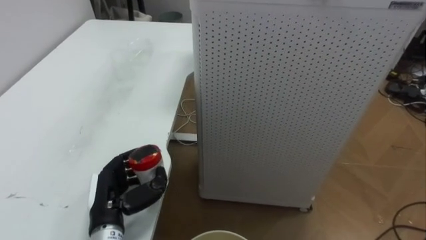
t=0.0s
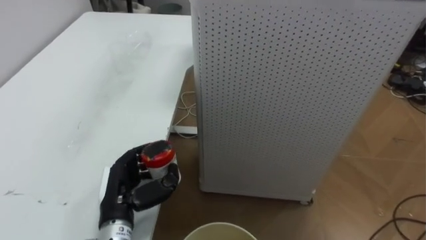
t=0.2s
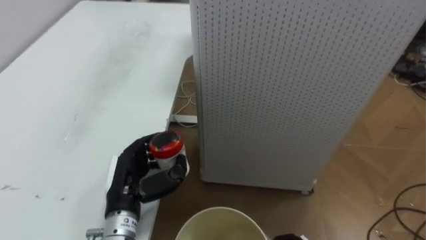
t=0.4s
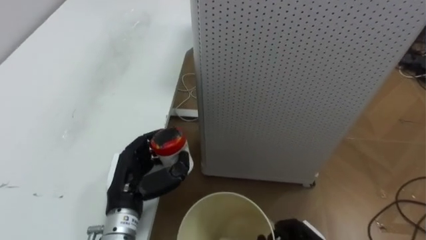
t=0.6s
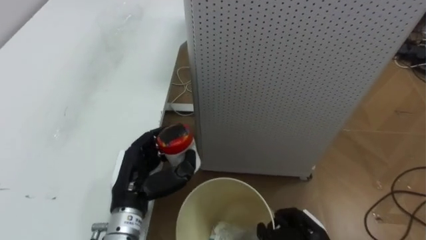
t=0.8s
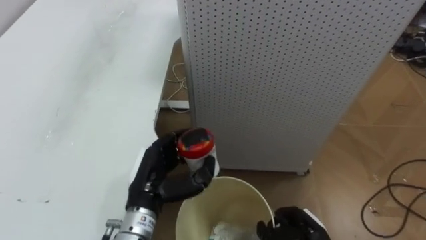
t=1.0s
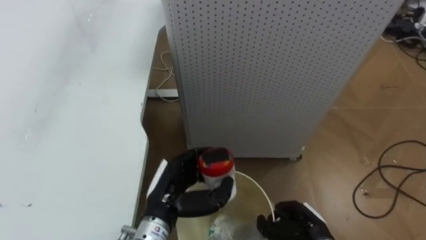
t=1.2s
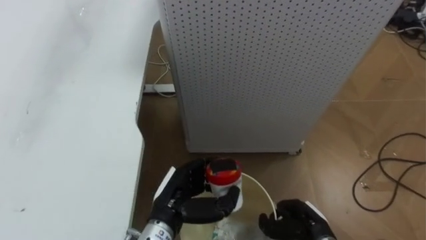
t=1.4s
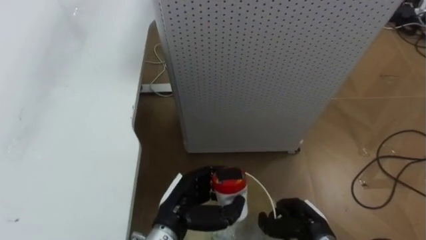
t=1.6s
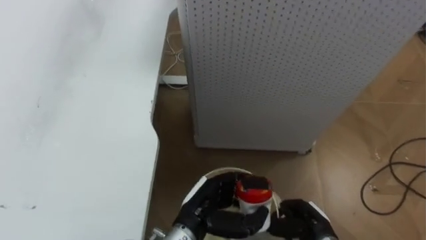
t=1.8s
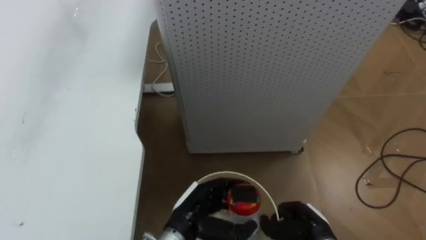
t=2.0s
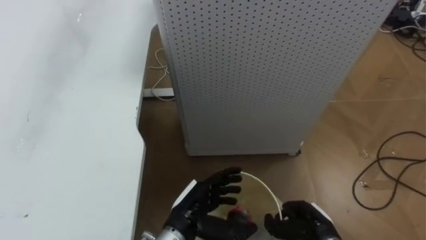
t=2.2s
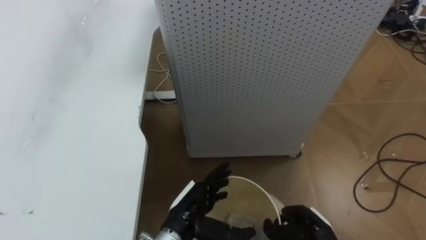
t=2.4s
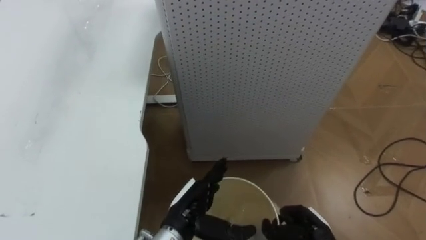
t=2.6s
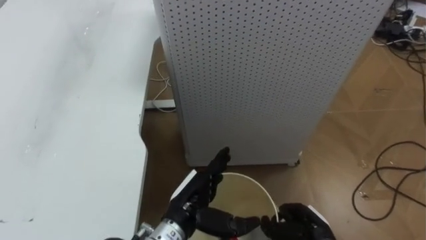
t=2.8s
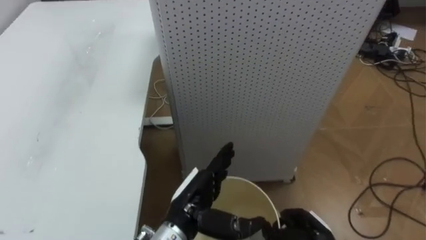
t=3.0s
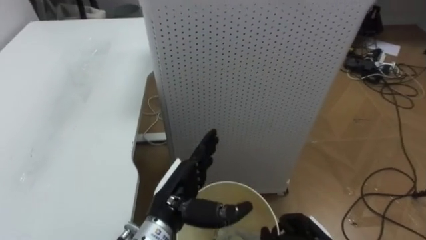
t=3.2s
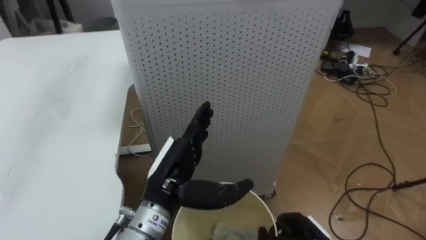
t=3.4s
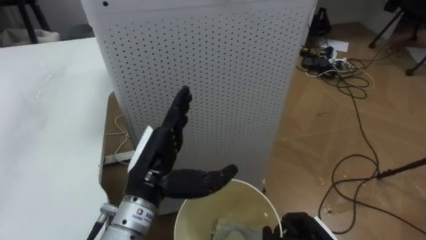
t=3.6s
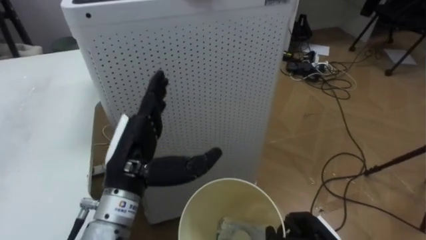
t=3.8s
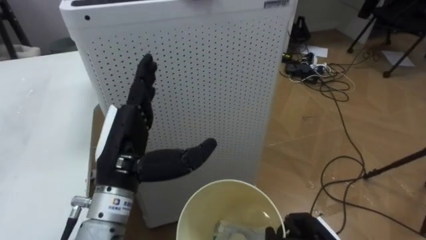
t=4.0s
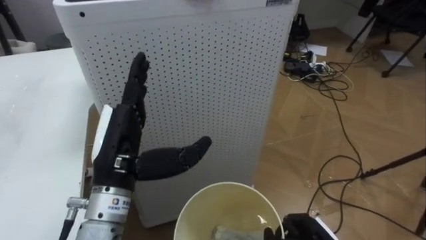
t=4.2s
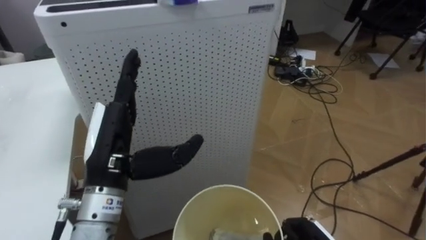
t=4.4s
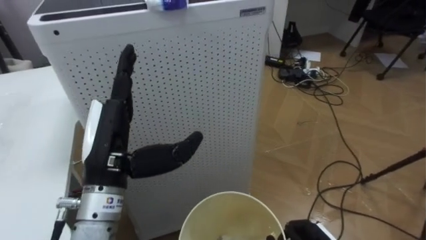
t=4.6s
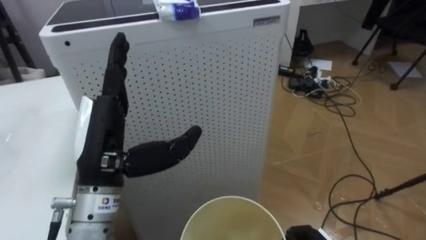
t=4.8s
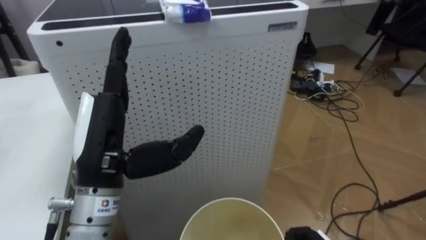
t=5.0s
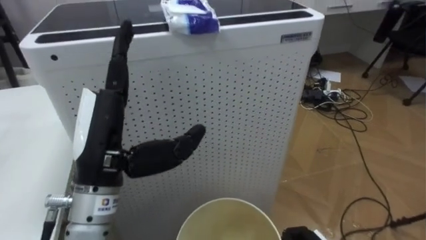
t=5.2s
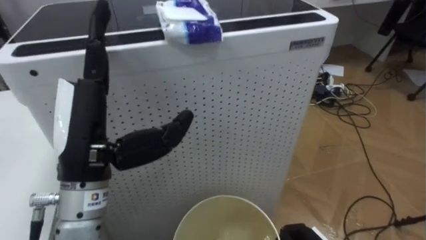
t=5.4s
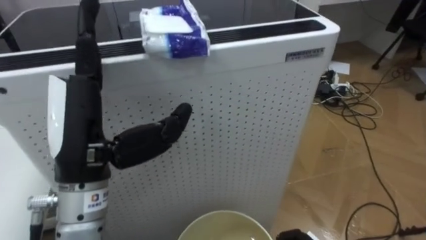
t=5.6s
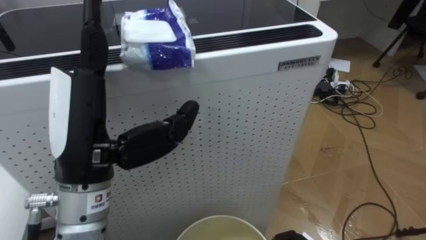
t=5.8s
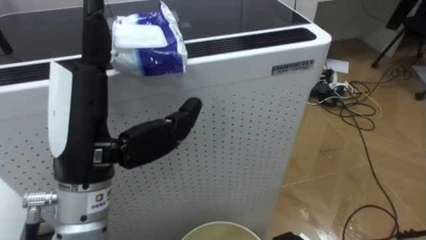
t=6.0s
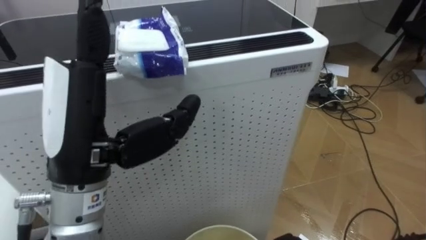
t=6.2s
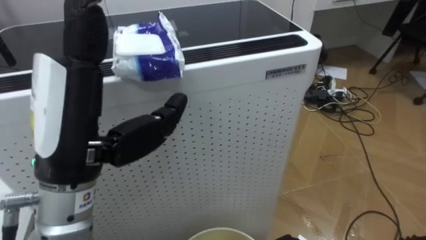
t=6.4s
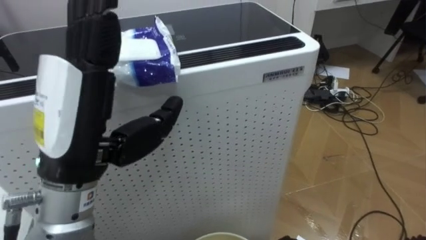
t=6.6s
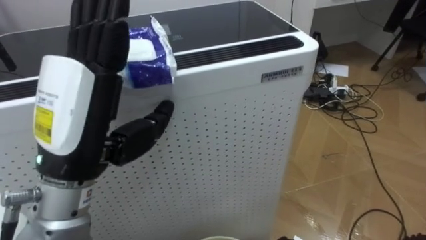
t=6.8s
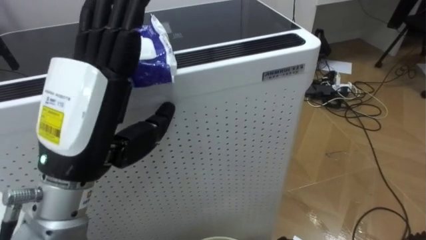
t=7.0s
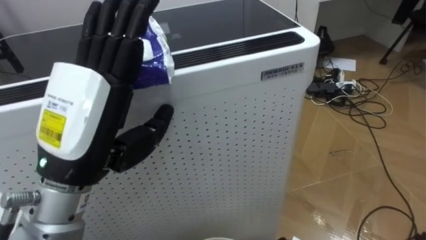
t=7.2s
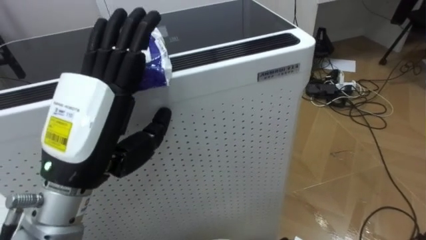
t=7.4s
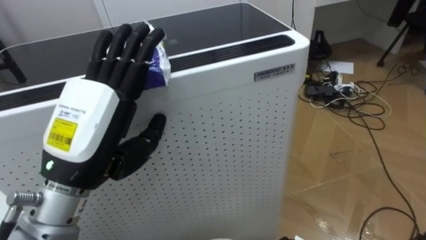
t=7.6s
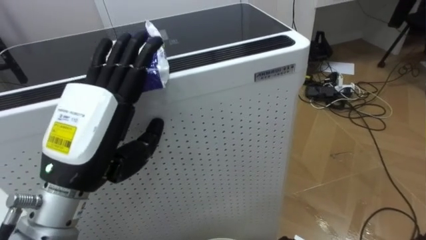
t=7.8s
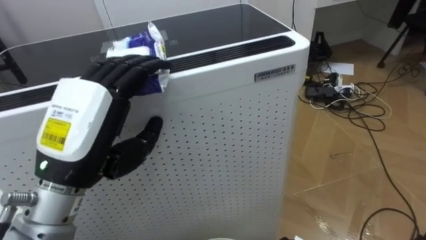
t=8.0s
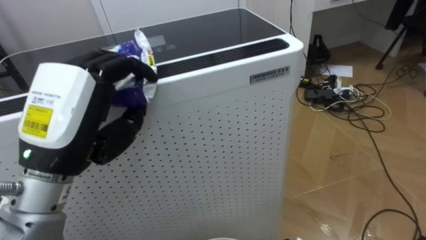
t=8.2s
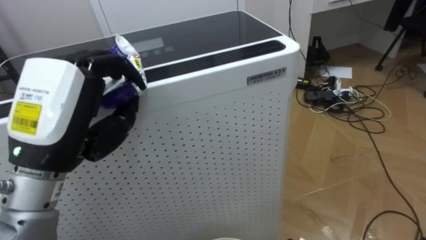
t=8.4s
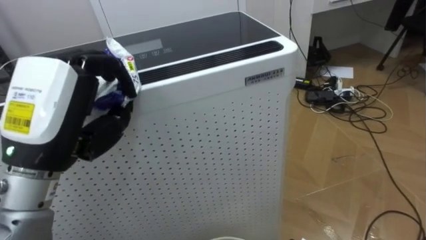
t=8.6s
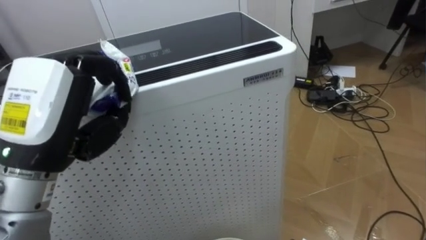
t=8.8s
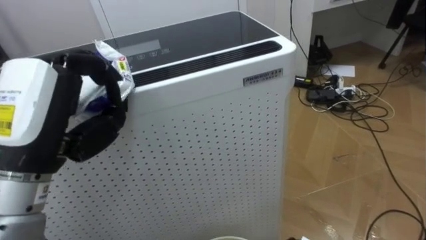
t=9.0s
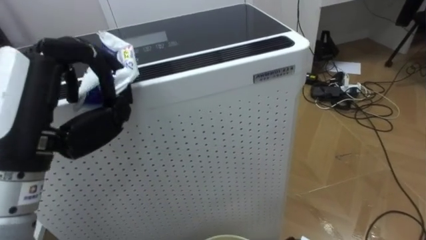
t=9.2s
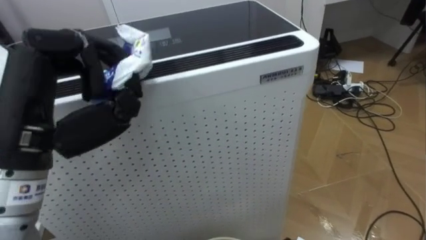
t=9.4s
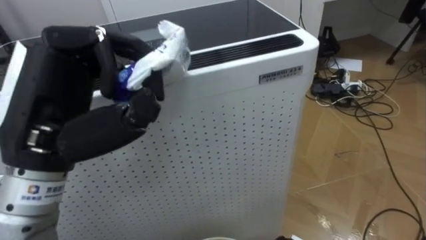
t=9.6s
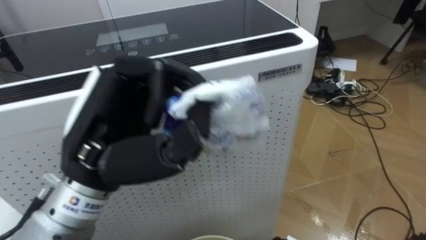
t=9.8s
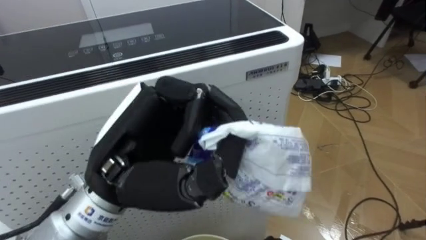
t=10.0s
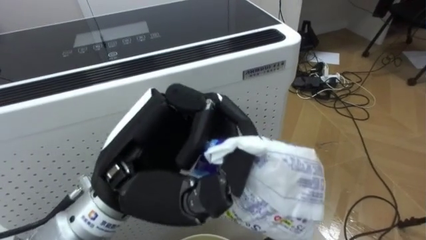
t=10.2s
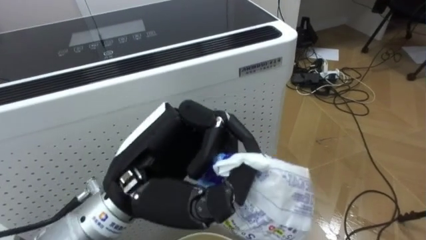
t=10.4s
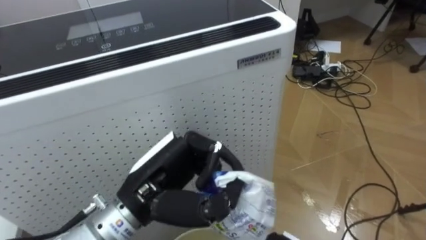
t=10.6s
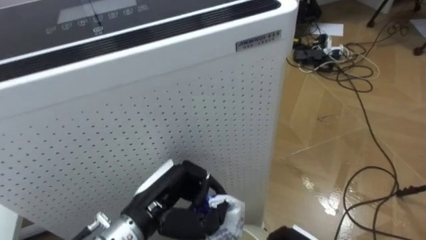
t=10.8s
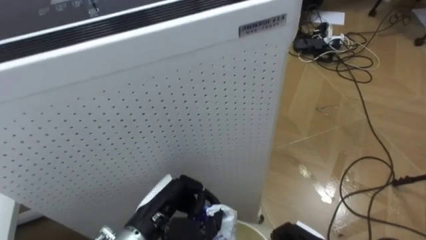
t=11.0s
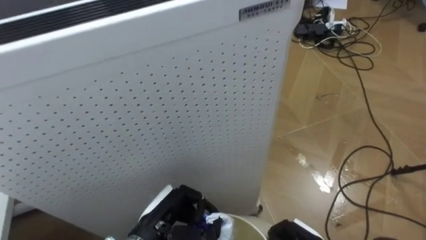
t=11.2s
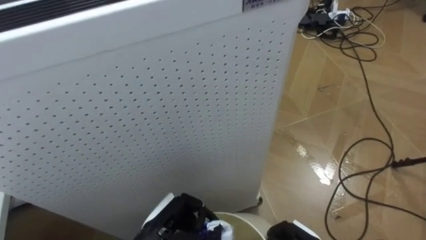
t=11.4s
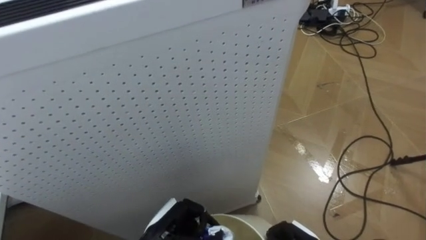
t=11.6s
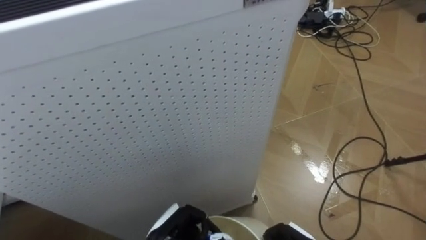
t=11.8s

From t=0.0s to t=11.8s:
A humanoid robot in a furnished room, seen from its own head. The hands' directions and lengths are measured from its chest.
Task of the whole recording: Pick up the light blue package, the candy box, and the dark blue package separately, and put them into the trash can held in your right hand.
From t=0.0s to t=1.4s: The left hand heads to the right, covering roughly 10 cm.
From t=1.4s to t=3.0s: The left hand opens up.
From t=3.0s to t=4.4s: The robot faces approximately 20 degrees further to its right. The left hand shifts approximately 20 cm upward and to the left.
From t=4.4s to t=6.0s: The left hand moves upward, about 10 cm.
From t=7.4s to t=8.8s: The left hand closes up.
From t=8.8s to t=10.4s: The left hand heads to the right, covering about 10 cm.
From t=10.4s to t=11.8s: The left hand heads downward, covering some 25 cm.

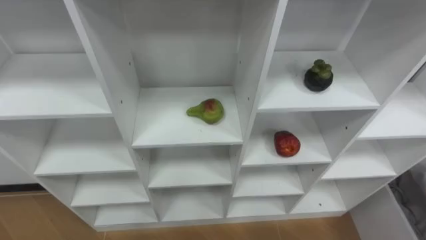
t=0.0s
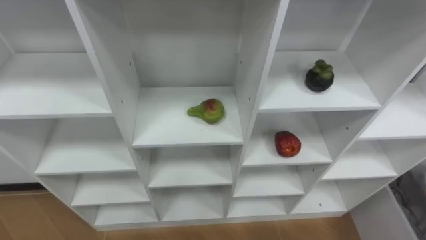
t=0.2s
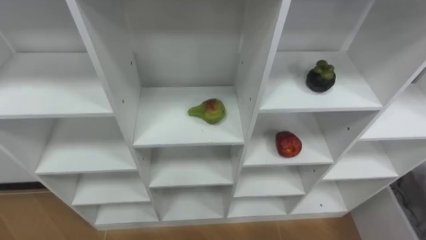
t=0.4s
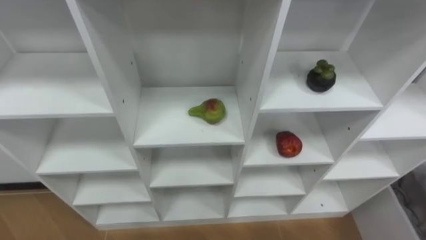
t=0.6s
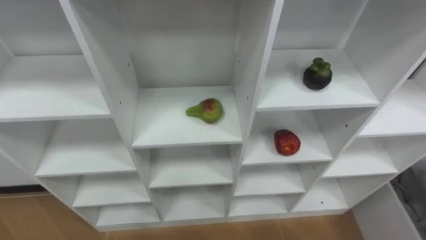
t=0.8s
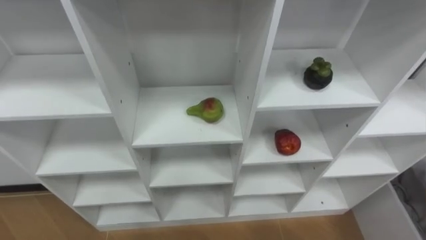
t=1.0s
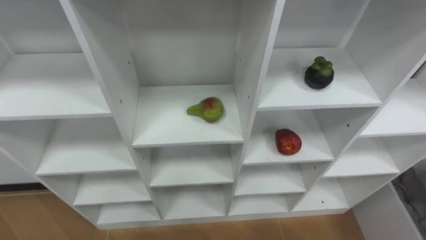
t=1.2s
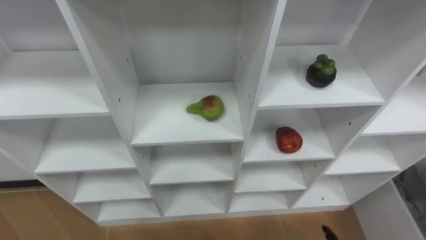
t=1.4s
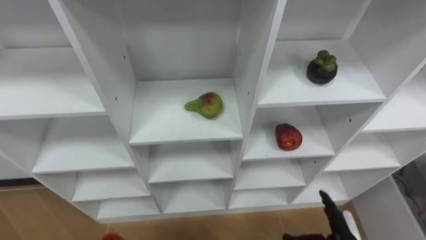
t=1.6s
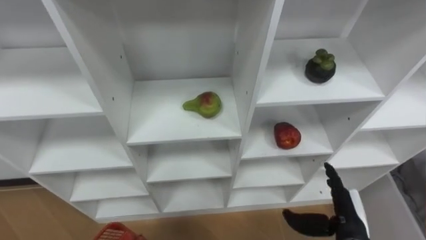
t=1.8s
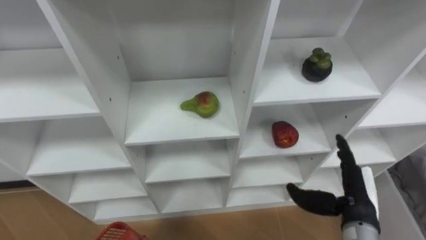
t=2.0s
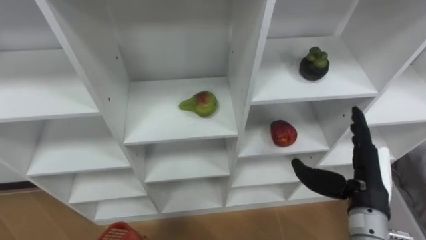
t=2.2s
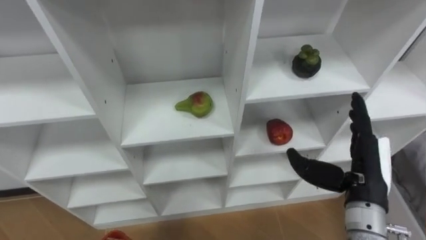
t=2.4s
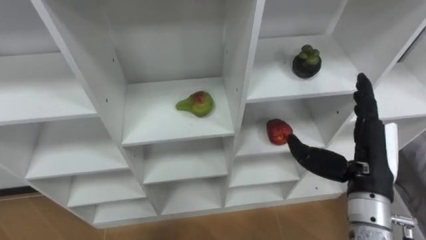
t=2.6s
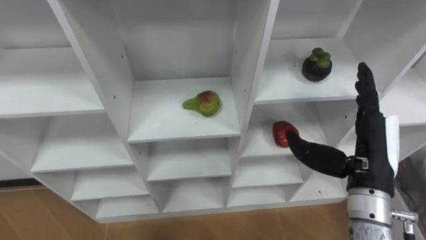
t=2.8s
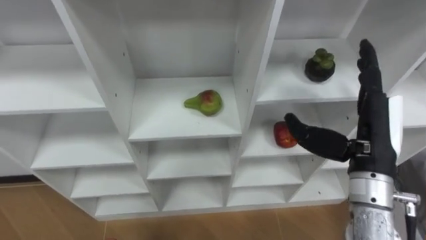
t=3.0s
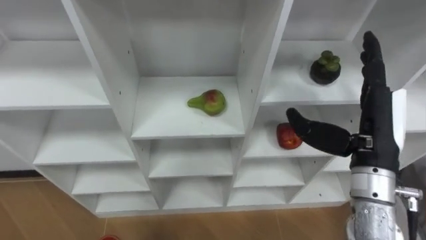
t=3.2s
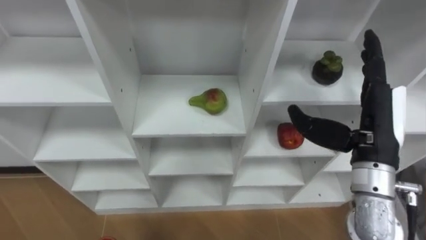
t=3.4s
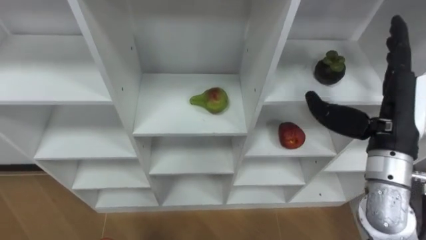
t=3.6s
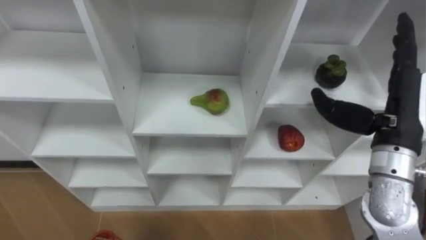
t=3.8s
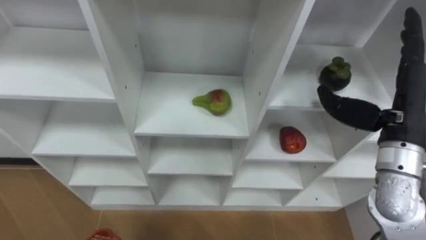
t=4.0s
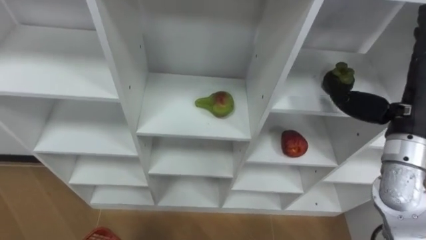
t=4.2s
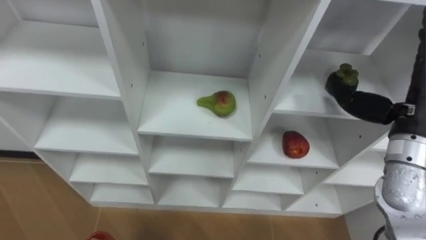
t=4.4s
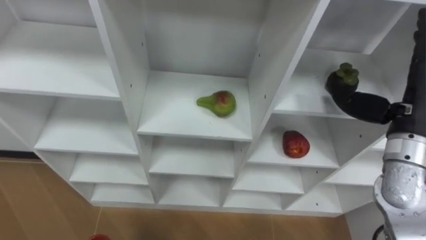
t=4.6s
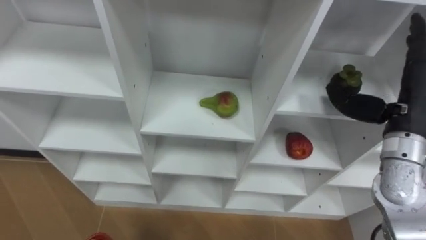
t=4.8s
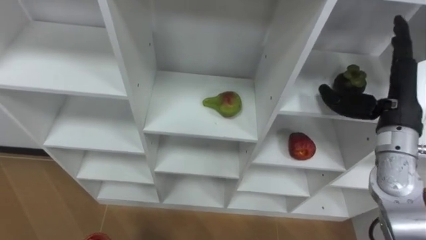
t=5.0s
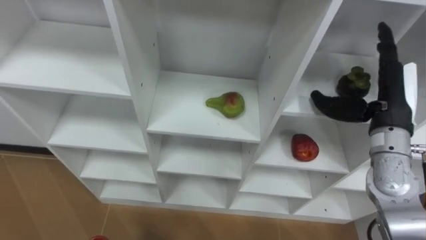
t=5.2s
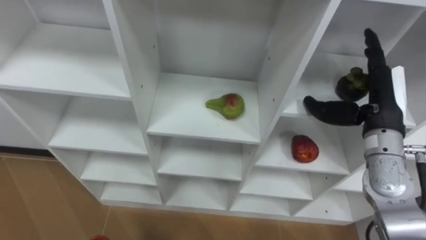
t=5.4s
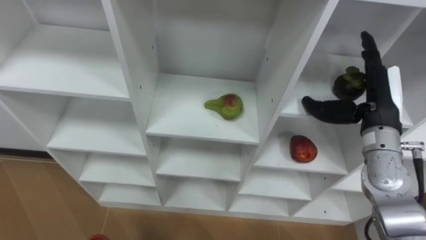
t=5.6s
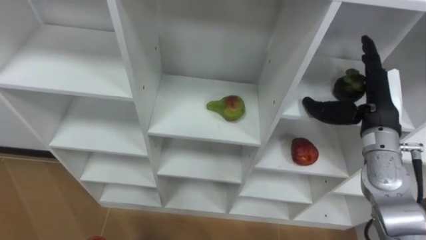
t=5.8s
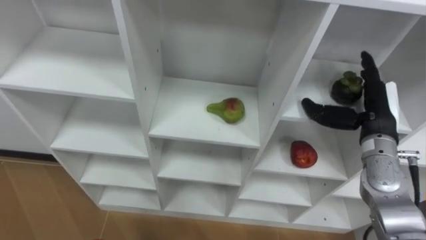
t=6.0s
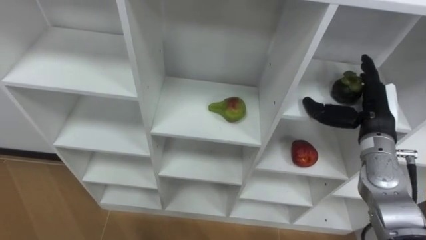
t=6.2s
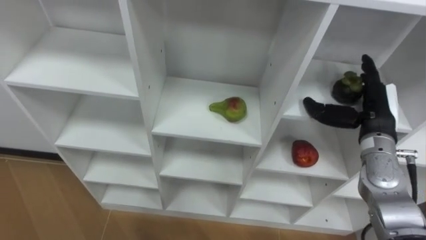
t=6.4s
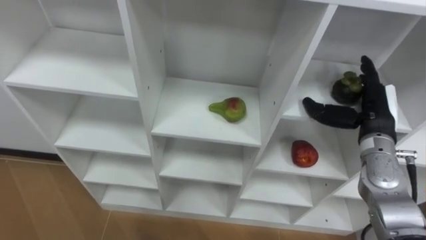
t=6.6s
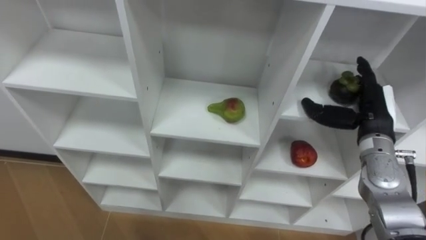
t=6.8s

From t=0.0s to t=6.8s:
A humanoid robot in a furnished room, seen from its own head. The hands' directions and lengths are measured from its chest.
Task of the whole recording: Hold the basket and collect the fruits from 3 different cells of the closet into it.
From t=2.8s to t=4.0s: The right hand moves approximately 10 cm.
From t=4.0s to t=5.4s: The right hand moves about 5 cm.
From t=5.4s to t=6.8s: The right hand moves downward, some 5 cm.
